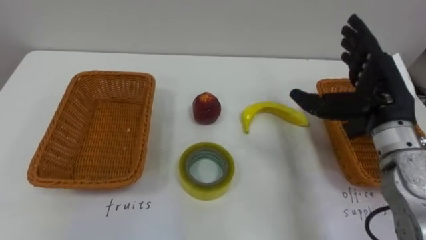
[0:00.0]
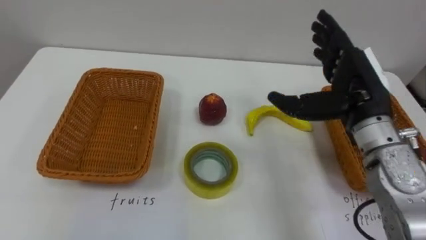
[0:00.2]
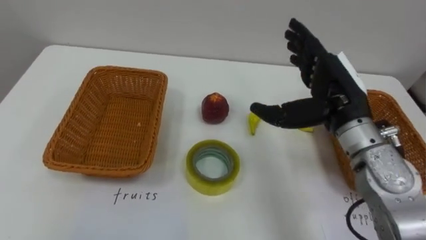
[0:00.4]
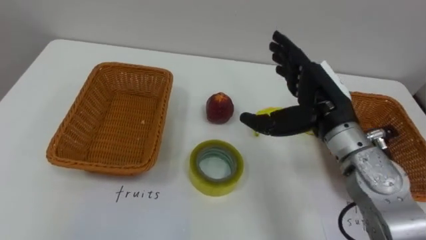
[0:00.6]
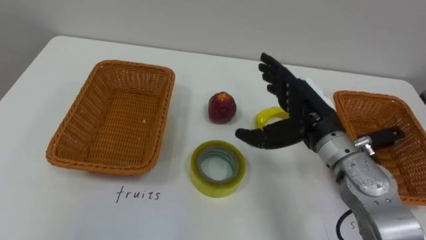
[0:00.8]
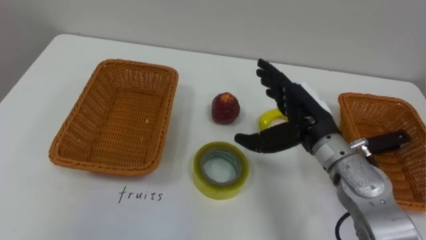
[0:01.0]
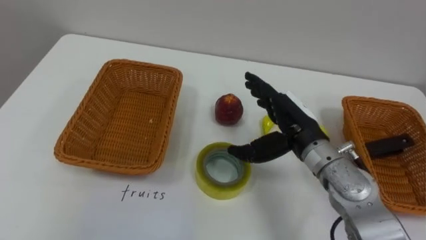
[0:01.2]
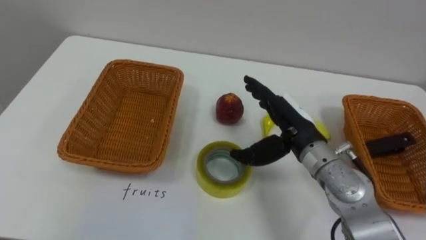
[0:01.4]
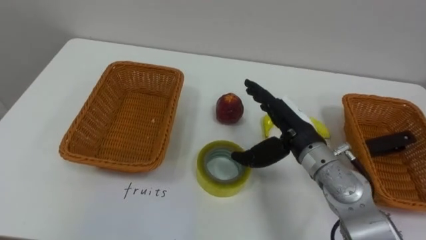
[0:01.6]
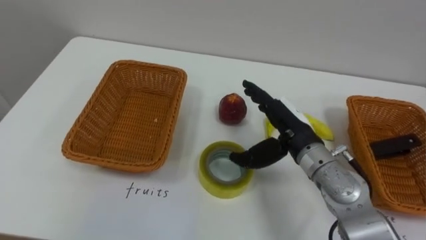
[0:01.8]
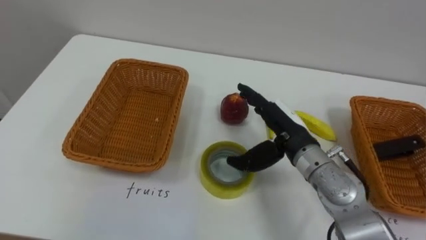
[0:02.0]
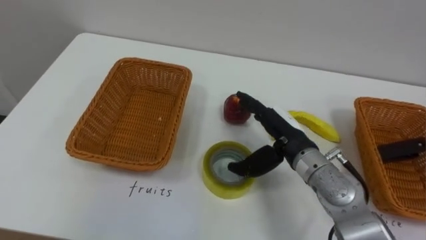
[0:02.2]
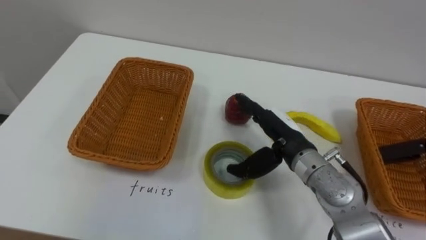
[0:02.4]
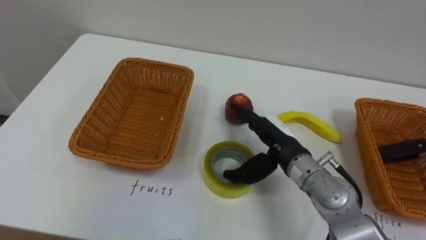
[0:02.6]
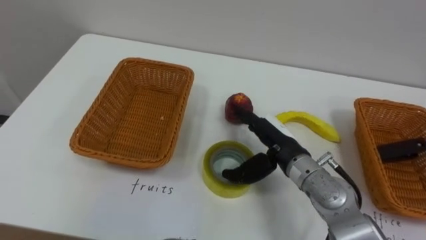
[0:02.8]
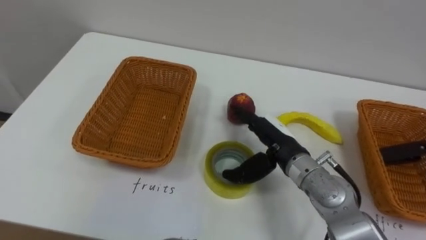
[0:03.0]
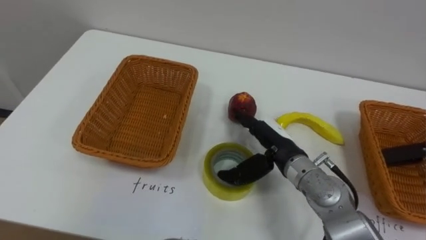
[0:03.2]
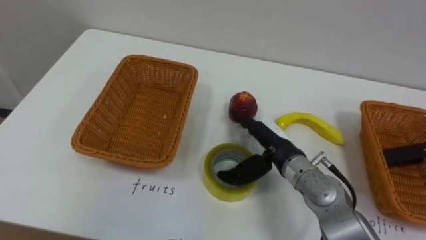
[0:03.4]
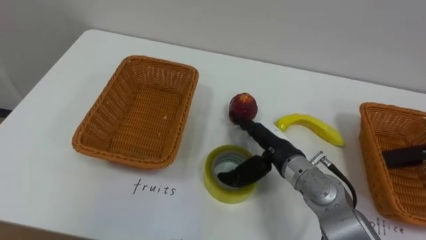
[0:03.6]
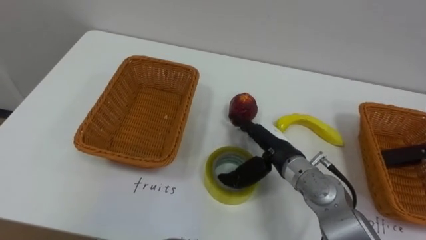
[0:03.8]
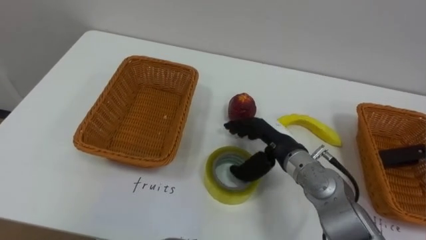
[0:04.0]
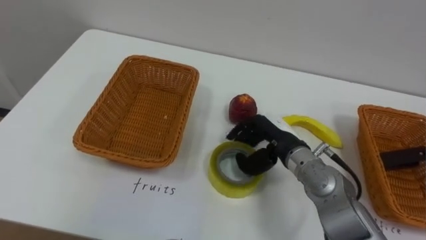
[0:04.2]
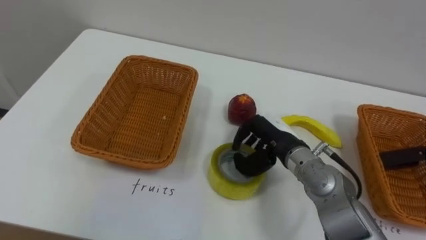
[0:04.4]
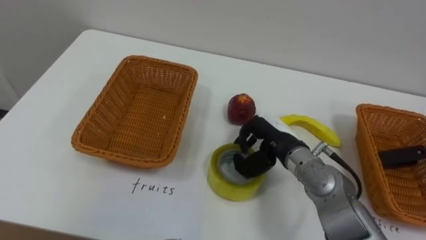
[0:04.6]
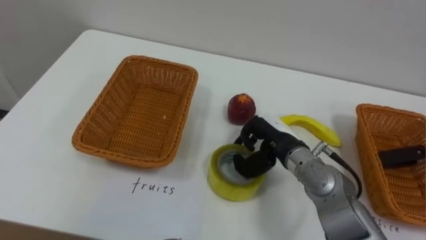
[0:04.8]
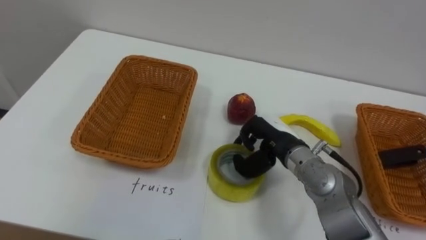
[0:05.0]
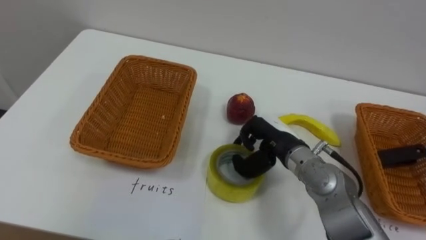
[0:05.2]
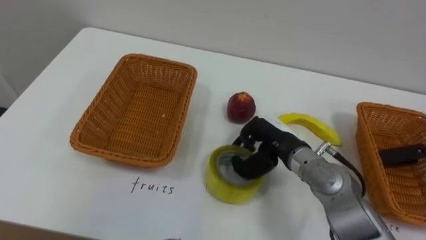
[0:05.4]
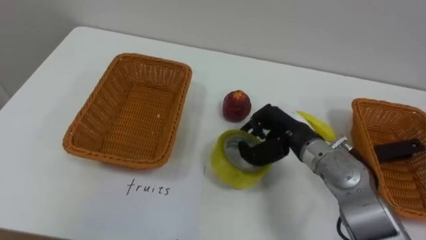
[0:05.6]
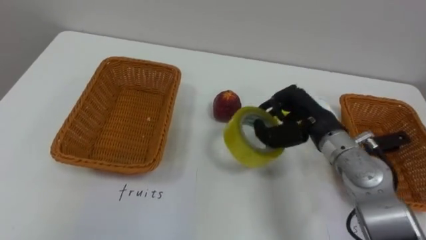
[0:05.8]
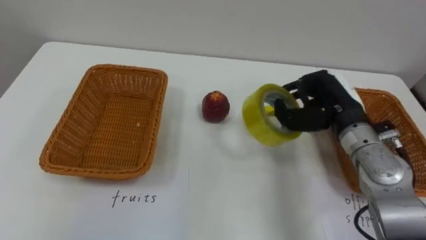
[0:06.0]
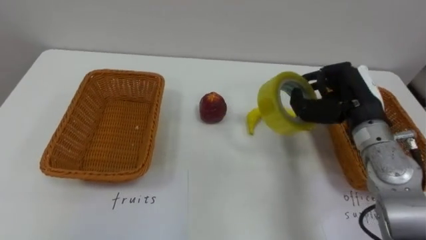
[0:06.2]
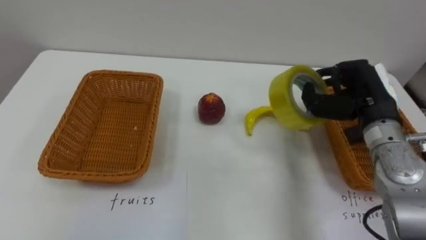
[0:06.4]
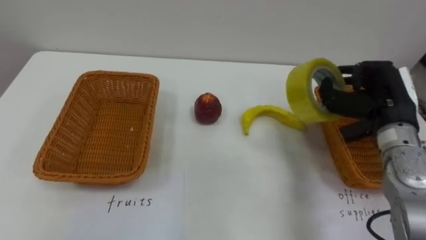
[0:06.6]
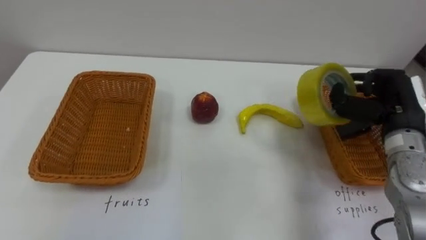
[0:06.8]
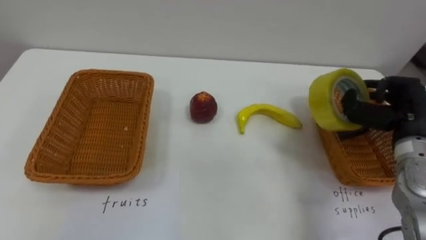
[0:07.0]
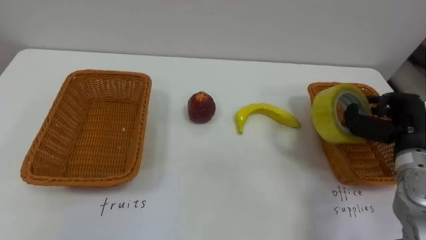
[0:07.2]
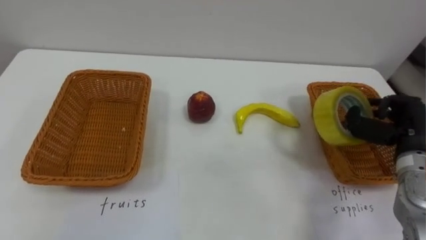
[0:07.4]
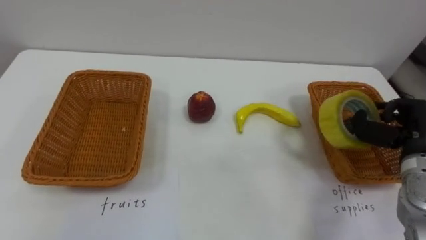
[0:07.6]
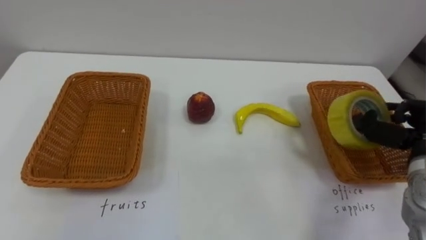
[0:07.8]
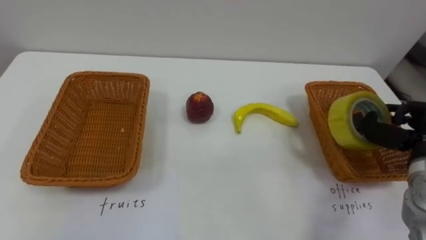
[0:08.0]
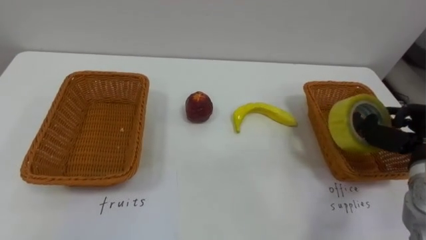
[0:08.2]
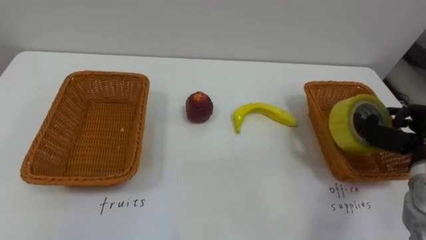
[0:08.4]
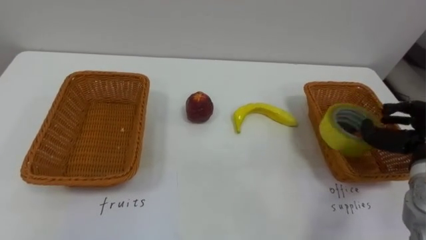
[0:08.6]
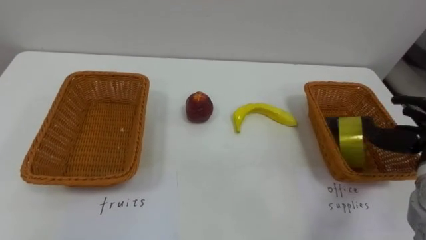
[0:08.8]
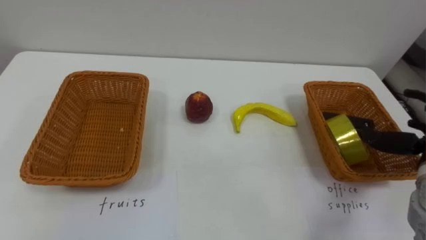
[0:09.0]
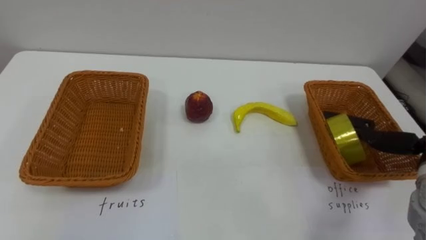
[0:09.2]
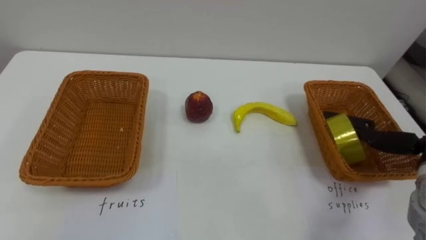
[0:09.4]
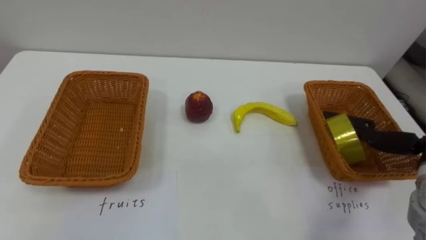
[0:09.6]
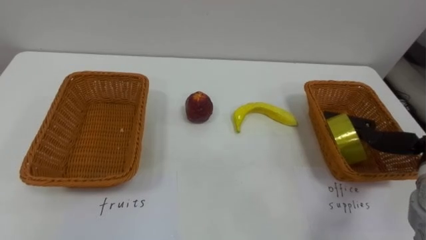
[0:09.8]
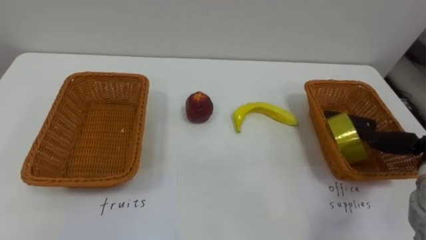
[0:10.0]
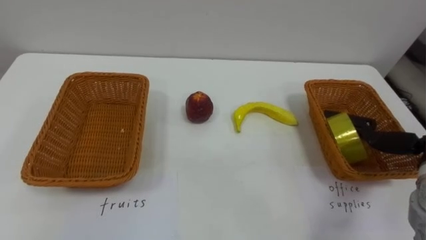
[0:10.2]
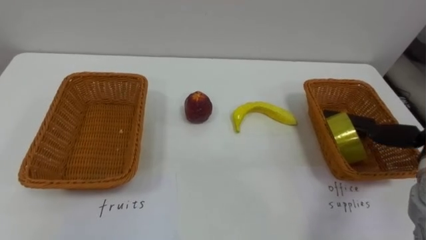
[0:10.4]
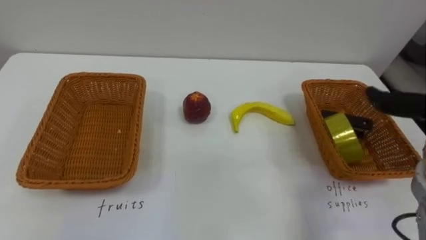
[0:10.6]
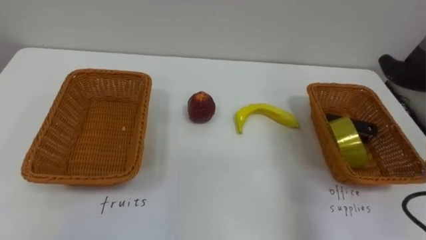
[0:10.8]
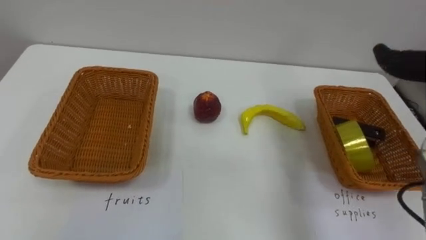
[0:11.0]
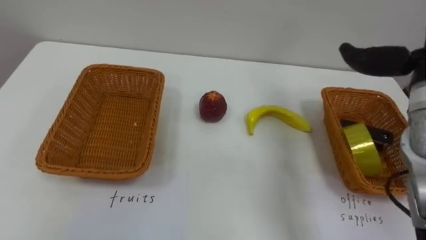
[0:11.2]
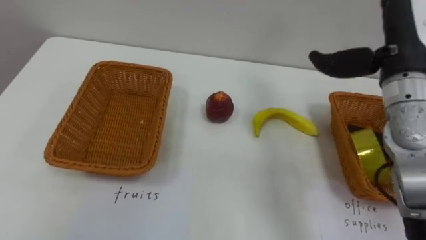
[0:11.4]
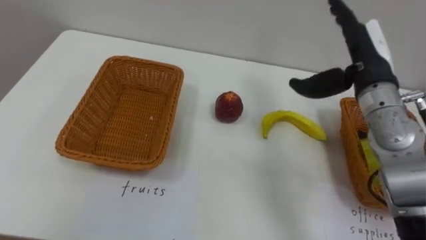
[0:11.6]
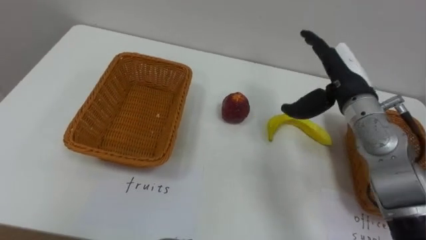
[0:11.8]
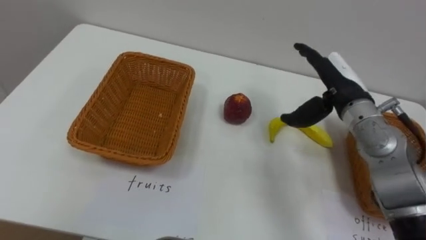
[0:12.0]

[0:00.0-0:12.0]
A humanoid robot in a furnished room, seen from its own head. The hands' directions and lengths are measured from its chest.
Task of the whole recording: Separate the items on the table and place them into the two baskets.
0:00.0 to 0:01.6: The right hand goes some 15 cm to the left and downward.
0:03.0 to 0:04.4: The right hand closes its fingers.
0:04.4 to 0:06.0: The right hand is displaced to the right and upward by roughly 10 cm.
0:06.0 to 0:07.6: The right hand moves to the right, about 15 cm.

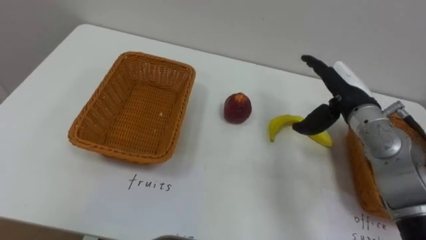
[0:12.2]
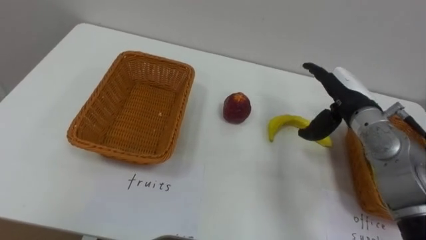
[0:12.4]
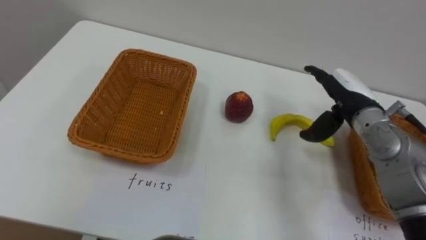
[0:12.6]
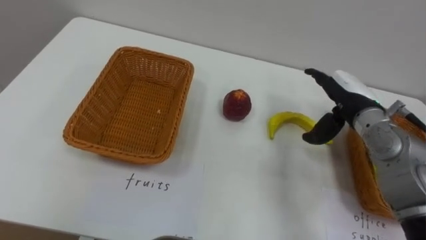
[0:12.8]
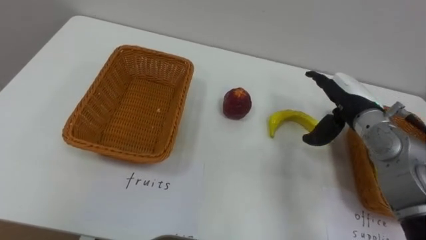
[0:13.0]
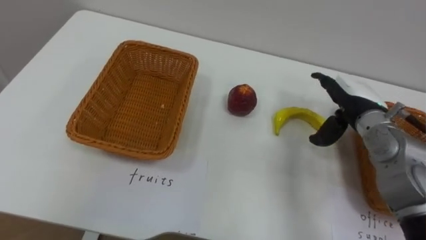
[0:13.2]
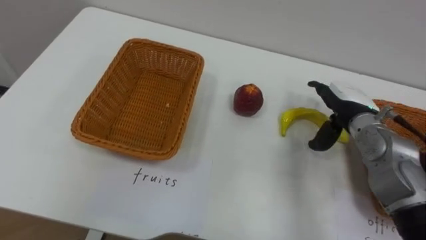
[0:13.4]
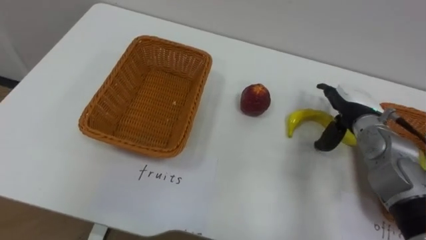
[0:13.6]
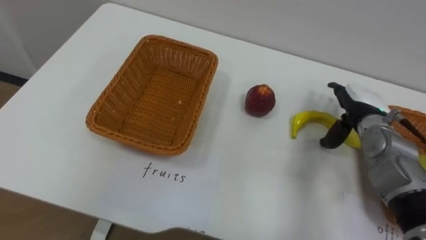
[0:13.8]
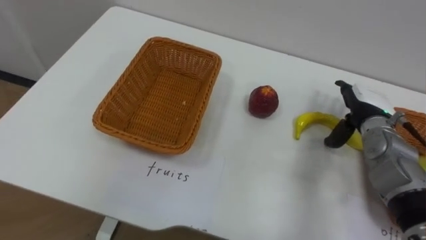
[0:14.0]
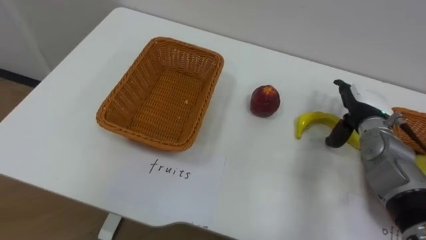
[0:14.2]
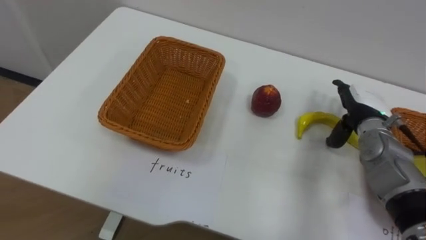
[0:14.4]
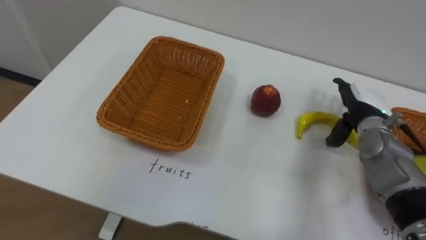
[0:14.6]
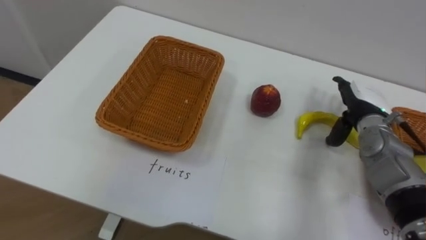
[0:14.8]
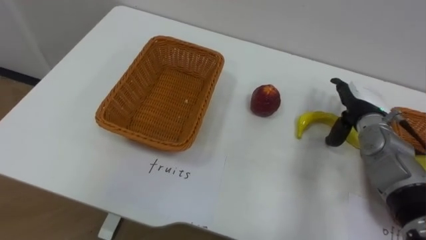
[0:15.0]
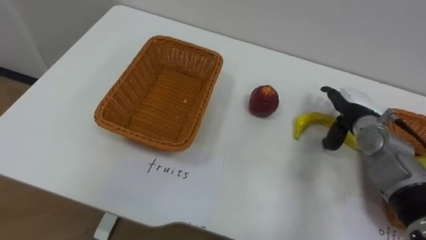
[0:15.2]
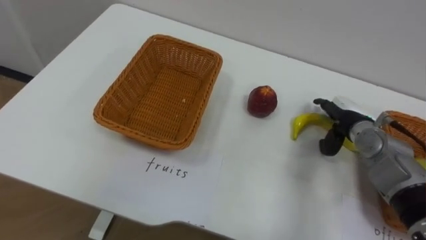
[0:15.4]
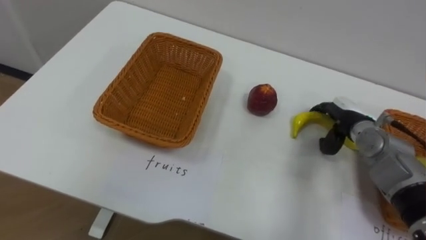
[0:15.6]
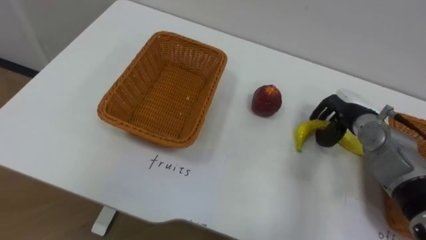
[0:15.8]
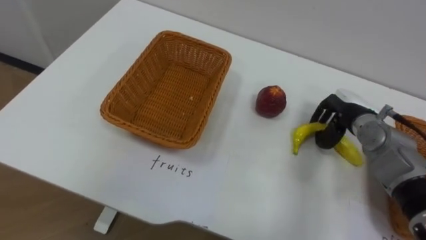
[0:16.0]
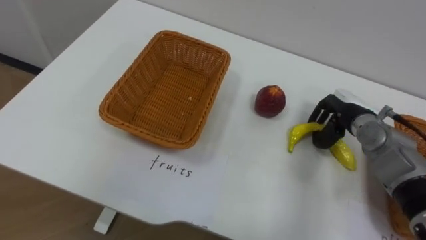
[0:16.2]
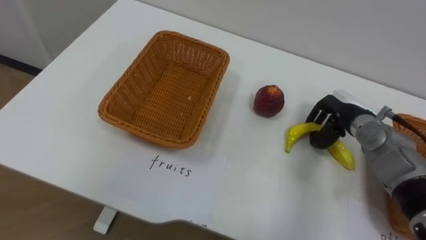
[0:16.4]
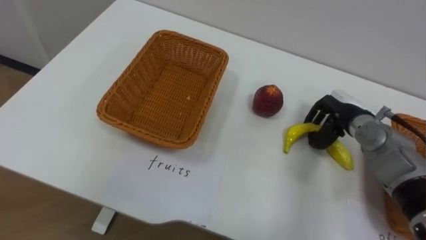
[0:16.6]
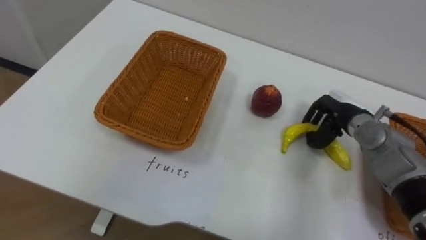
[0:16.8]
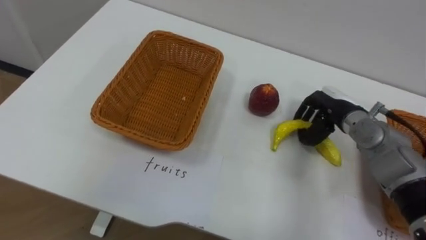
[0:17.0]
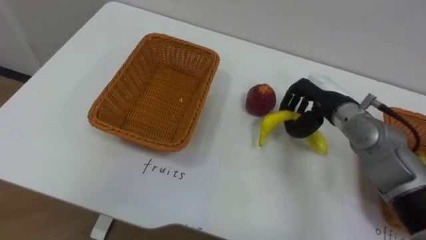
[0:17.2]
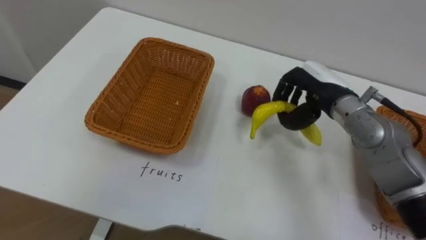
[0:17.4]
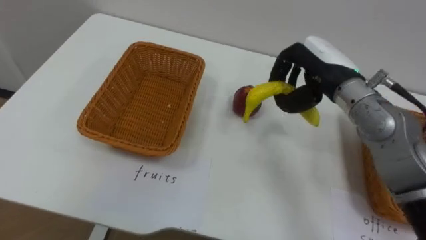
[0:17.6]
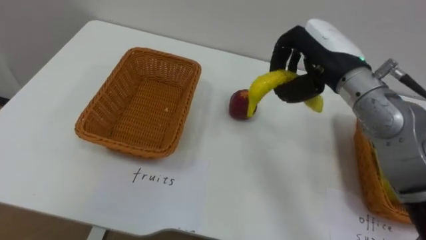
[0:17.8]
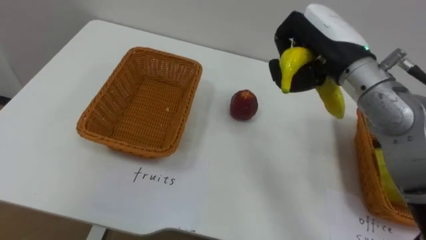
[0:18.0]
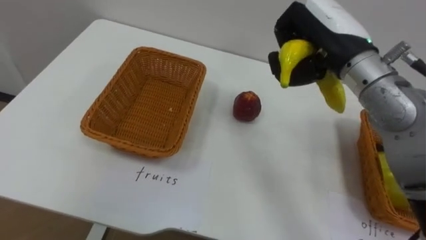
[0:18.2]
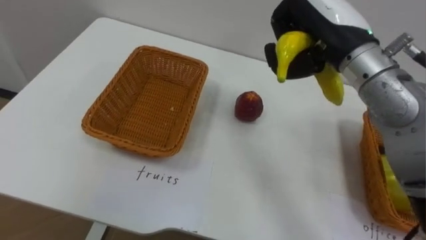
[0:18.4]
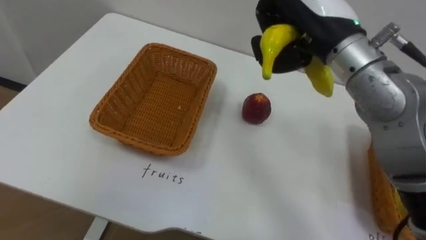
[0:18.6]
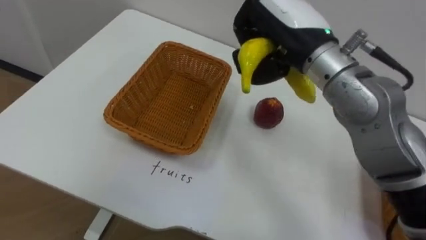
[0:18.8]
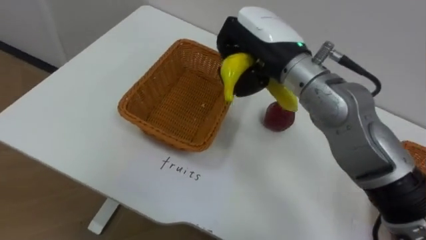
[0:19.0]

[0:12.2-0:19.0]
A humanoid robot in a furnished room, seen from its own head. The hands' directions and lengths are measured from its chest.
Task of the whole recording: Separate the items on the table and place them into the two baskets.
0:12.2 to 0:13.6: The right hand heads downward, covering roughly 5 cm.
0:15.0 to 0:16.2: The right hand closes its fingers.
0:16.2 to 0:17.6: The right hand shifts approximately 15 cm upward and to the left.
0:17.6 to 0:19.0: The right hand shifts roughly 15 cm to the left and upward.
